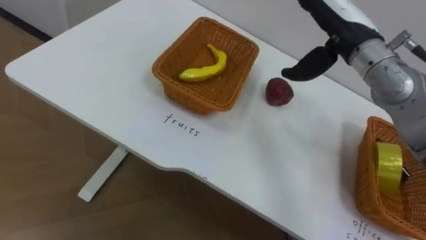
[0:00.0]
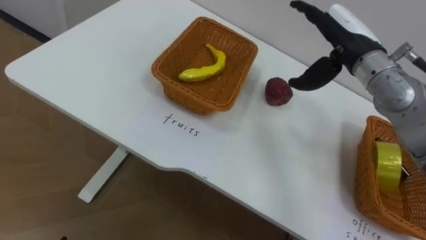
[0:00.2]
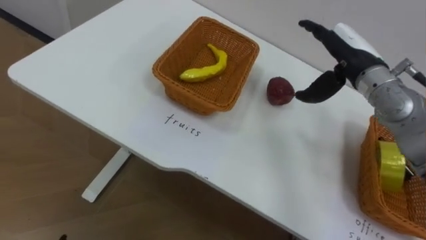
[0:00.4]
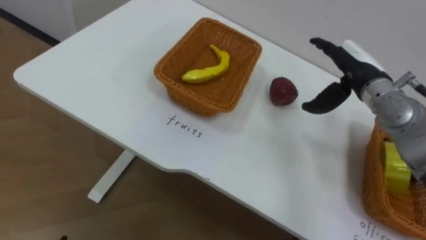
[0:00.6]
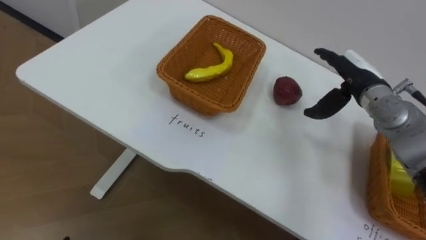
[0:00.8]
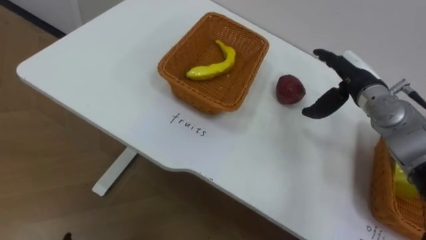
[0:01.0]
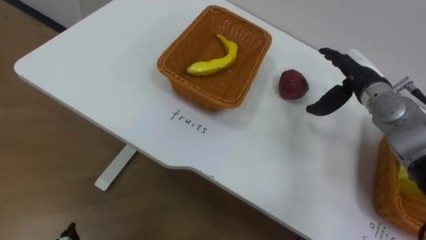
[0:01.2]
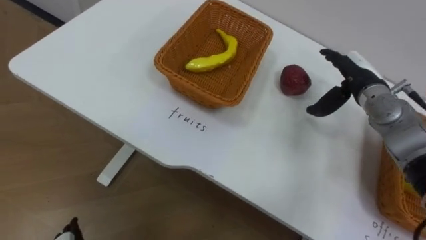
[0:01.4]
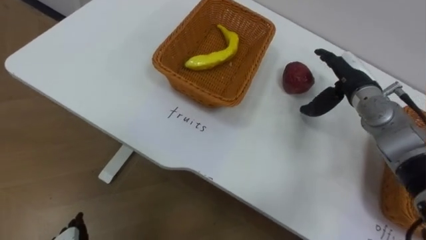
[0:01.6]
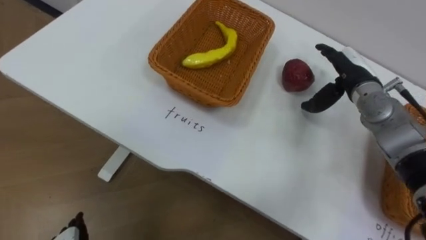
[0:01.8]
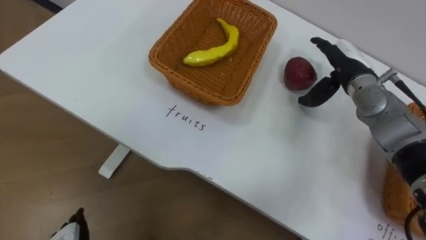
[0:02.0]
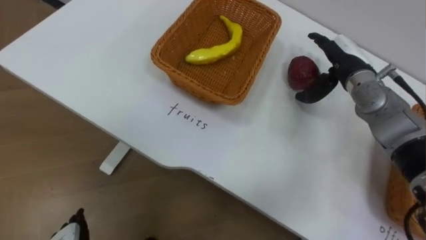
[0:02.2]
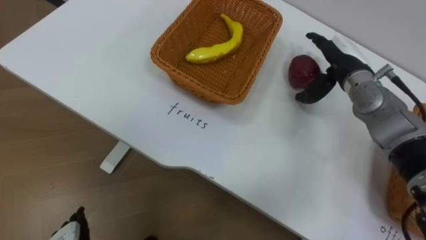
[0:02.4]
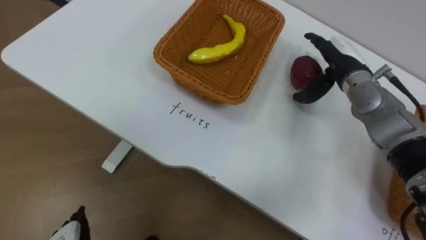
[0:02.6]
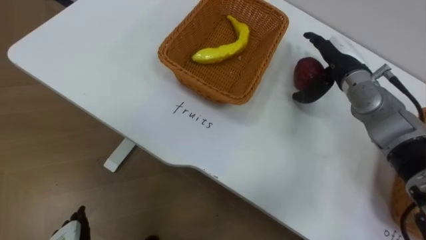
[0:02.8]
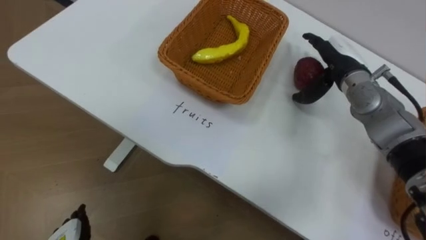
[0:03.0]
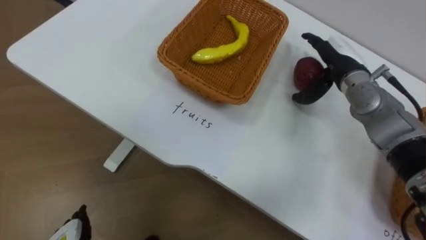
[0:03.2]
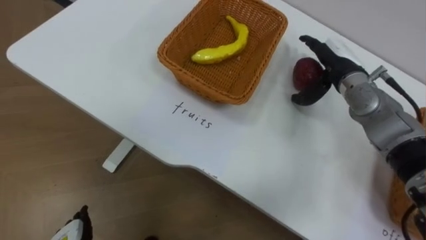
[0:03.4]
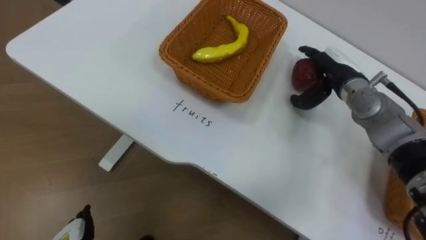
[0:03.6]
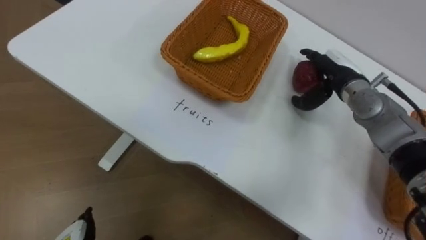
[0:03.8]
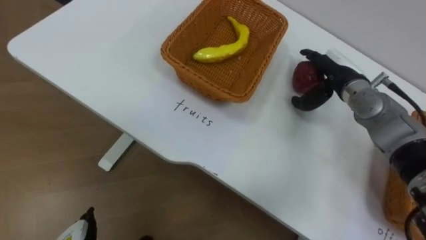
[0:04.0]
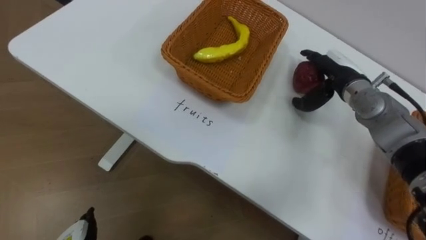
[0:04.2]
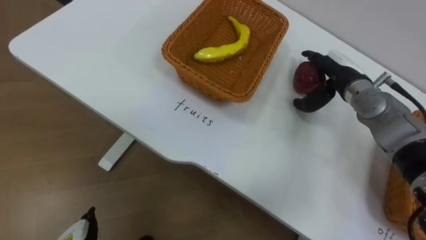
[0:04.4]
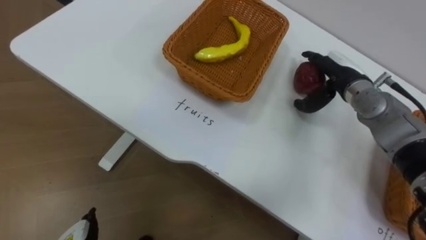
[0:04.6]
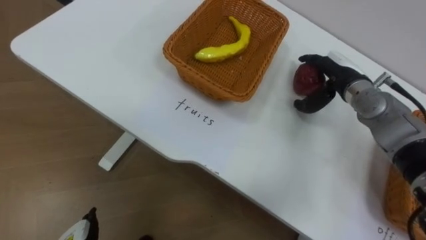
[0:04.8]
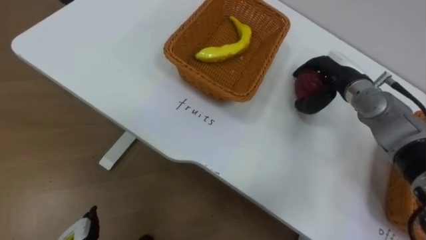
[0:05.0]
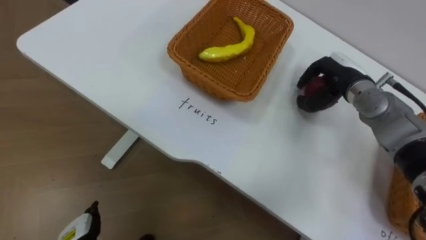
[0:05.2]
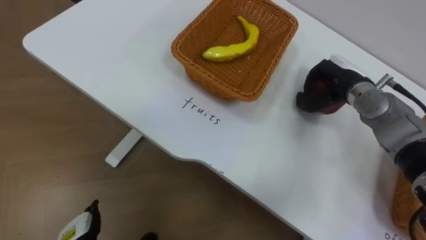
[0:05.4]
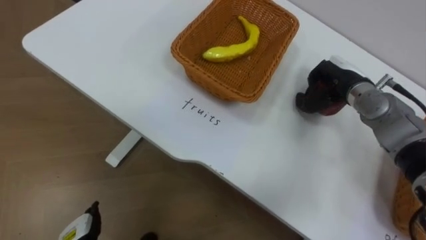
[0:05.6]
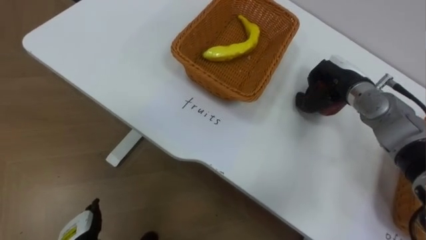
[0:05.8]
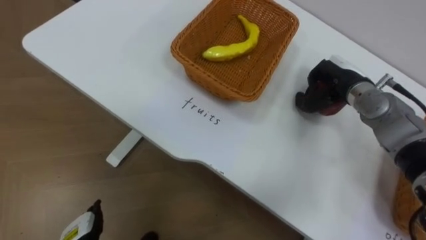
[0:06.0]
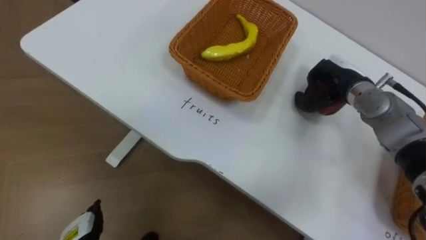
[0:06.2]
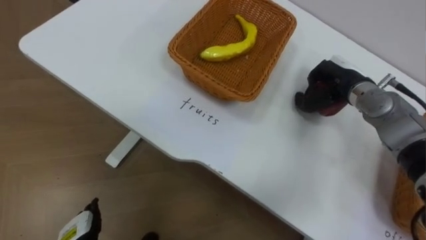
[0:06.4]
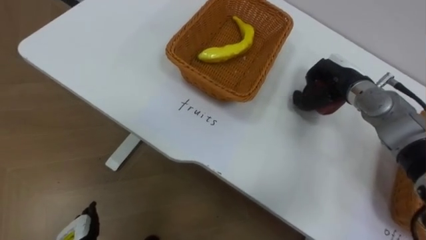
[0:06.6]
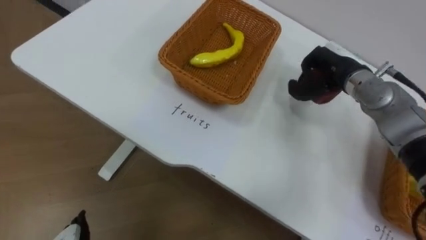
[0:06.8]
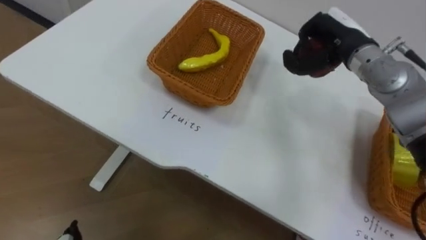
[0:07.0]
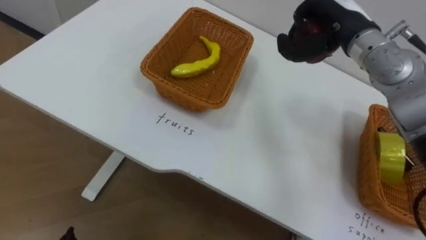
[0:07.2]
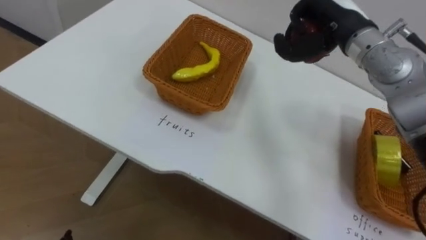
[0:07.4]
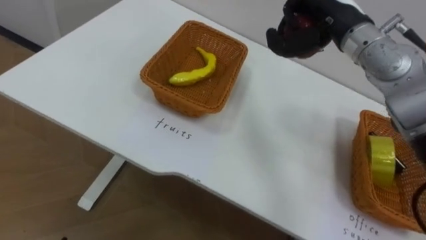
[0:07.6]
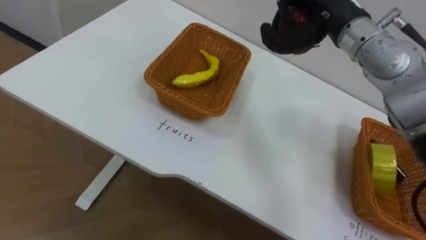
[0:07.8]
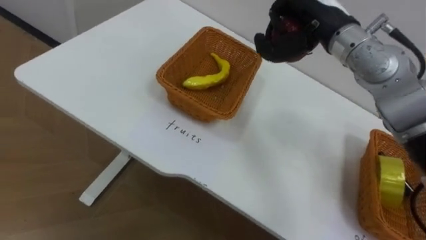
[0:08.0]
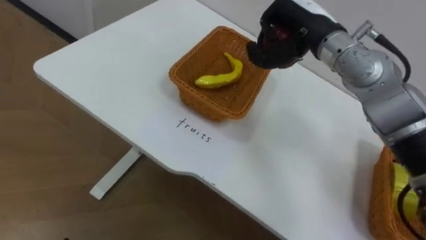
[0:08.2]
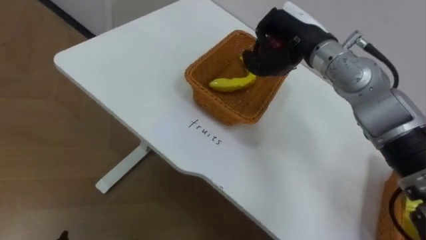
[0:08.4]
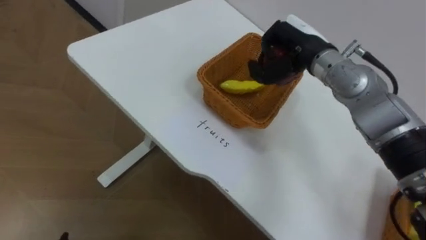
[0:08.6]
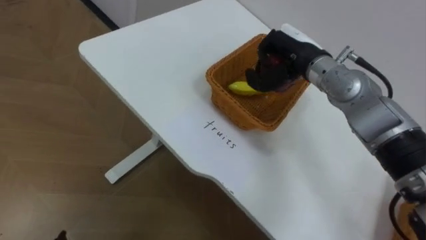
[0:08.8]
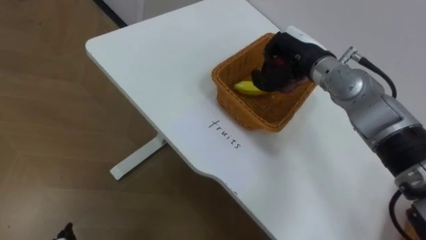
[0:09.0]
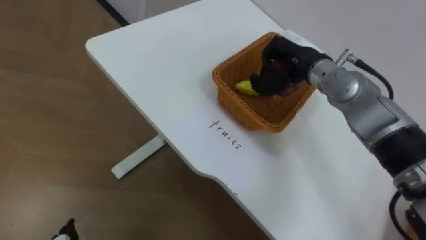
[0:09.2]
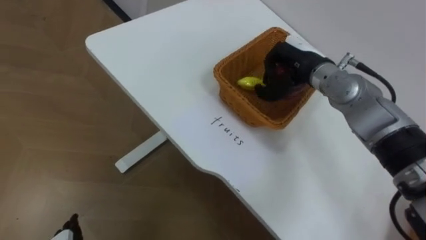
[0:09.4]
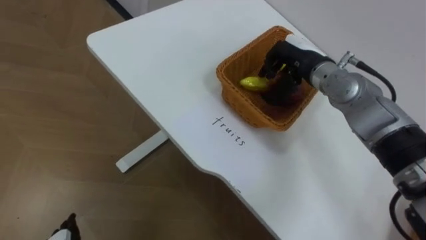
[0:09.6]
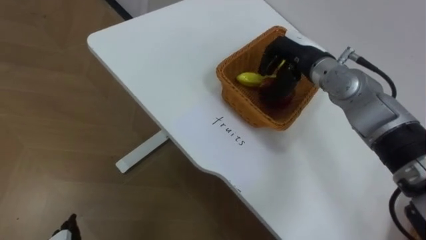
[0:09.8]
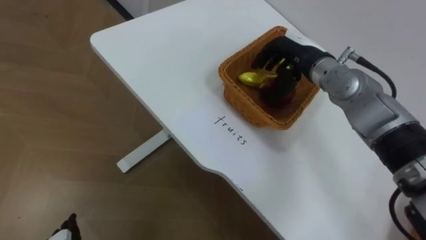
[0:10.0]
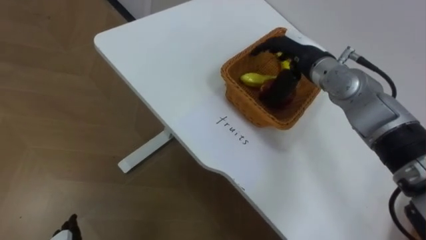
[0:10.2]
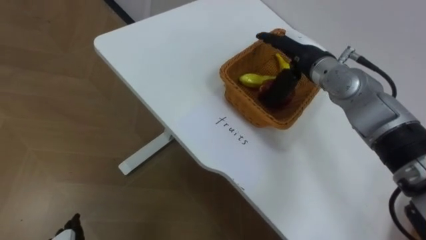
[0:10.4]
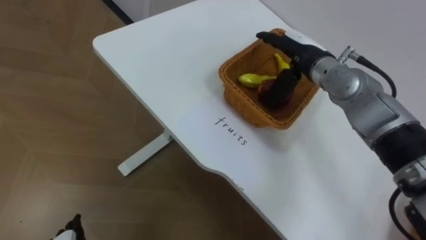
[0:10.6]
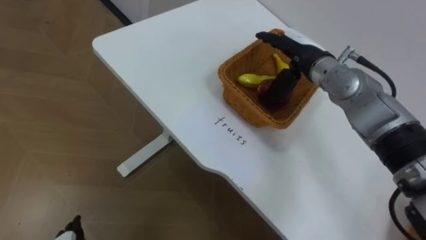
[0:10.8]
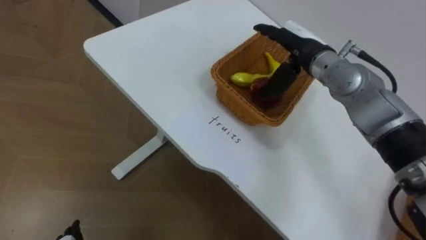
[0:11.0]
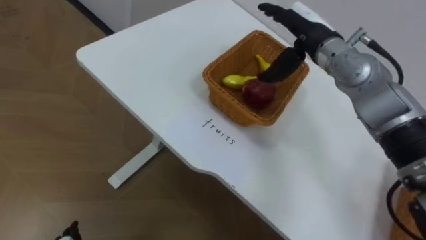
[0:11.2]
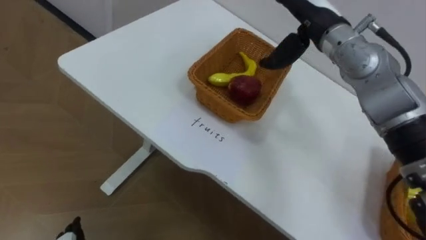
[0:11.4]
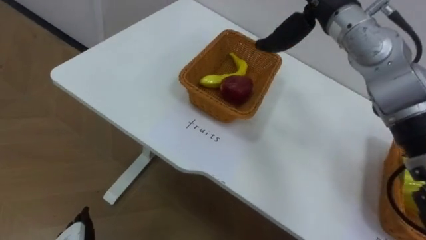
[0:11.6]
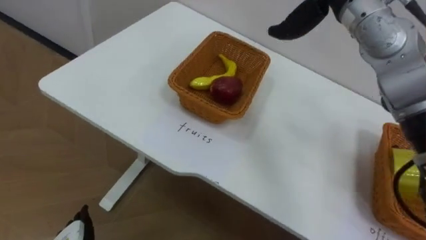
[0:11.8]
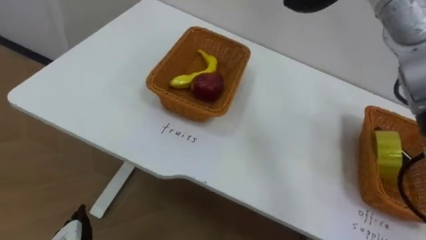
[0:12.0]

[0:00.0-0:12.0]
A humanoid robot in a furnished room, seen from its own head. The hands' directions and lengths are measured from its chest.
Task of the whole recording: Separate the items on the table and place them into the two baskets.
0:00.0 to 0:01.6: The right hand is displaced downward and to the right by some 15 cm.
0:04.4 to 0:06.0: The right hand closes up.
0:06.0 to 0:07.6: The right hand travels upward and to the left by some 15 cm.
0:07.6 to 0:09.0: The right hand travels downward by some 10 cm.
0:09.0 to 0:10.4: The right hand opens.

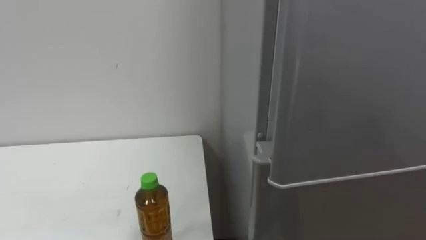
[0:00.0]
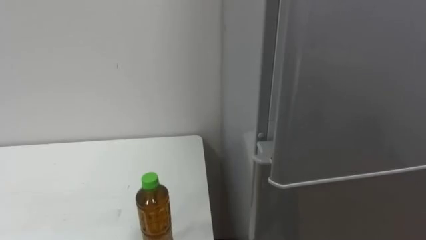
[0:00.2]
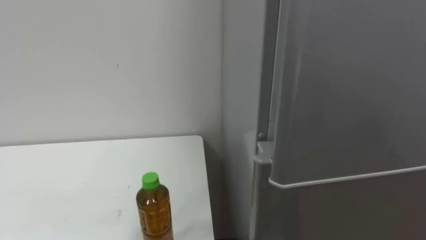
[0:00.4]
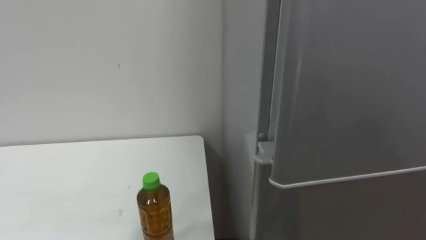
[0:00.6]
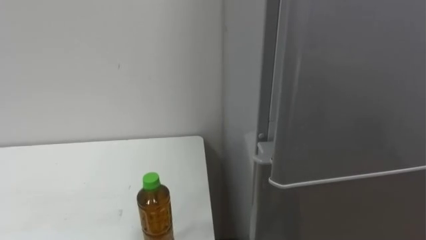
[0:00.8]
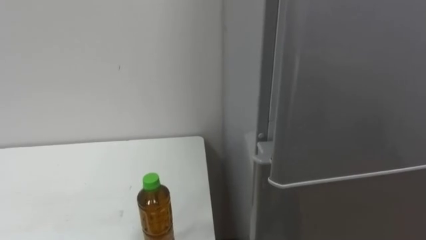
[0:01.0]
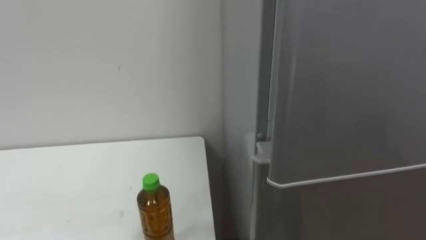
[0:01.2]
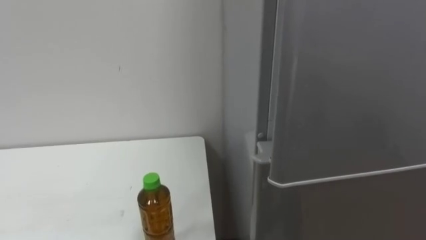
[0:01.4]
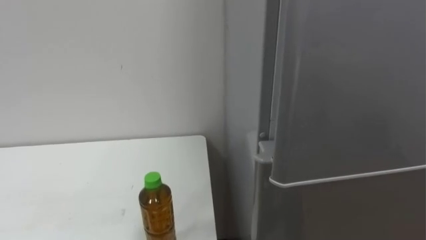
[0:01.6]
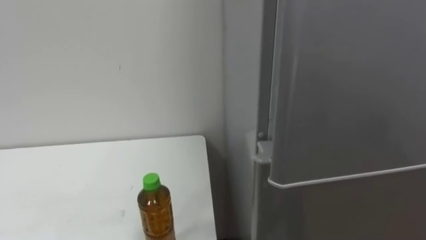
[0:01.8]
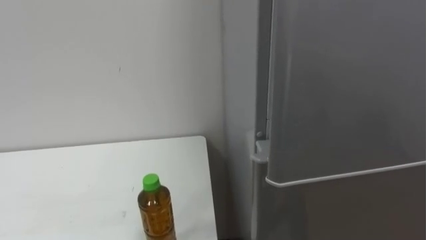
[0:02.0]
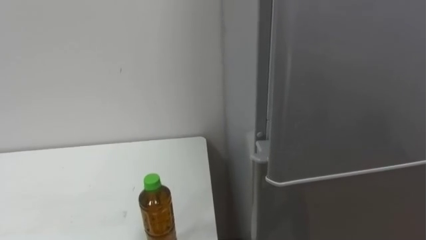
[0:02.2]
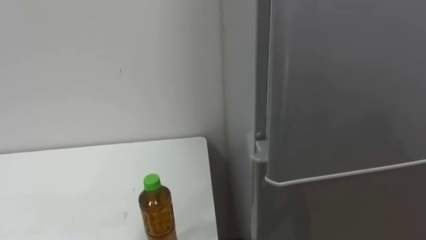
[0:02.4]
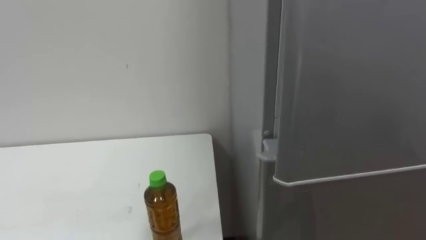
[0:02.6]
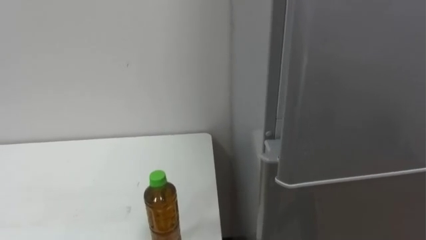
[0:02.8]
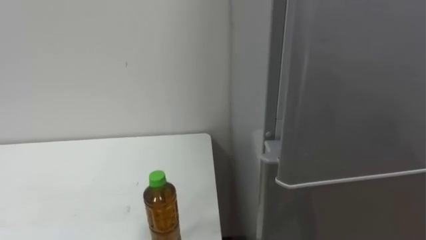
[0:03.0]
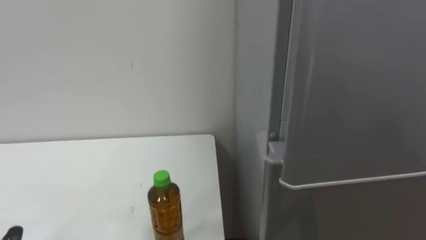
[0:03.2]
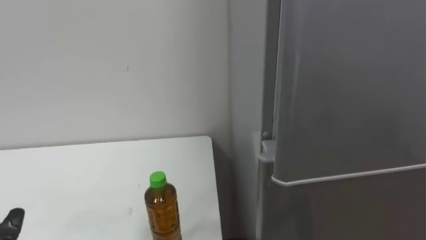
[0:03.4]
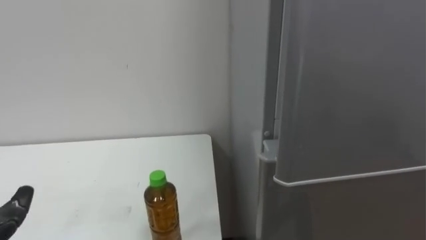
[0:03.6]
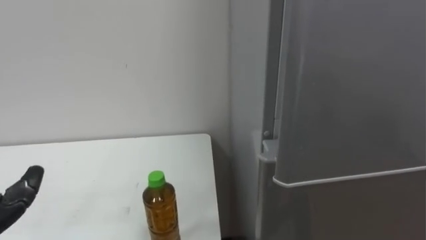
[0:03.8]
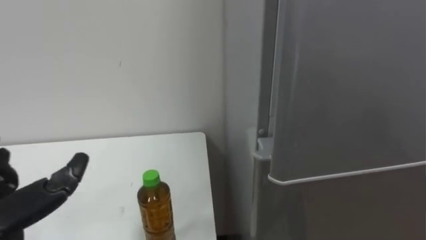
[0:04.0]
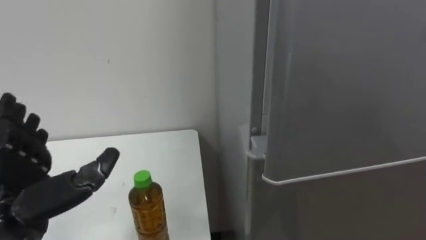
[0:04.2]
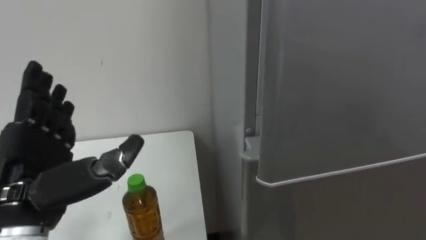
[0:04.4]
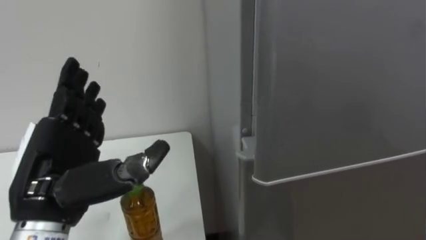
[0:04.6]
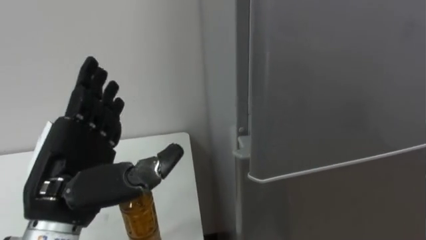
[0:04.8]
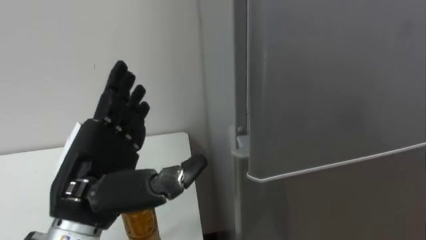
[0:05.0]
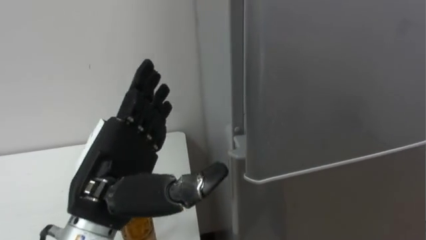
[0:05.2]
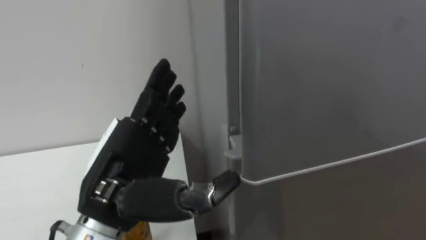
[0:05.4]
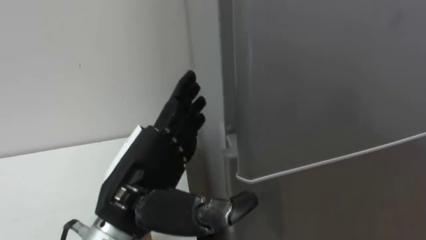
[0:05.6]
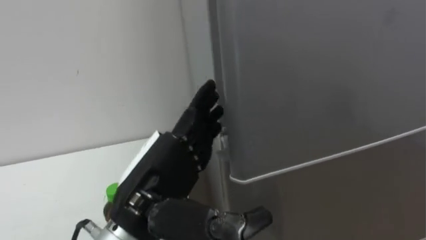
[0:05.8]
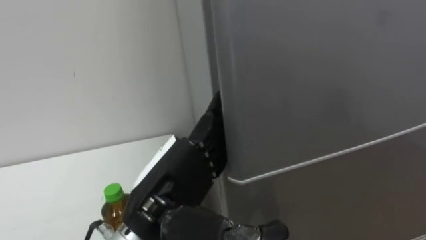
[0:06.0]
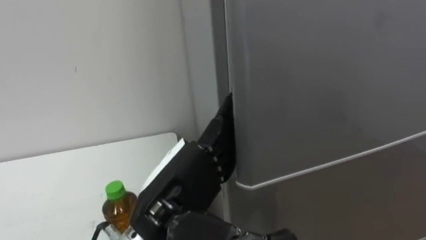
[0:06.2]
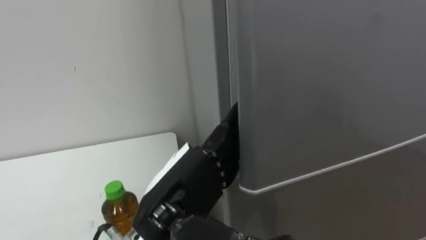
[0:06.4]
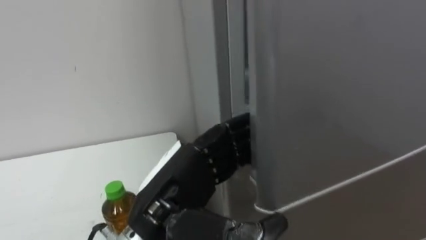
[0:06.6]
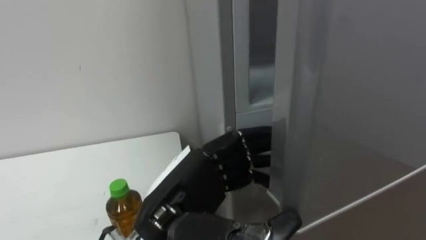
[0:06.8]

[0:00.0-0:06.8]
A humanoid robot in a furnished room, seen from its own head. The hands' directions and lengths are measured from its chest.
Task of the whole recording: Open the upper refrigerator door, put the drink from the table into the refrigerator, and then close the refrigerator door.
0:05.4 to 0:06.8: The left hand goes roughly 5 cm to the right, and closes up.
